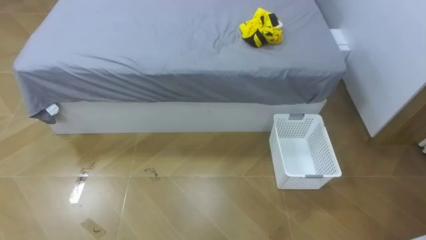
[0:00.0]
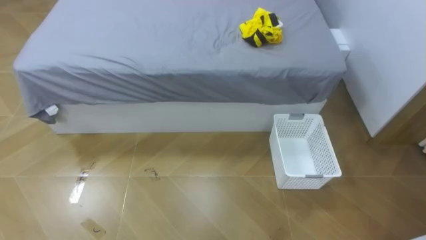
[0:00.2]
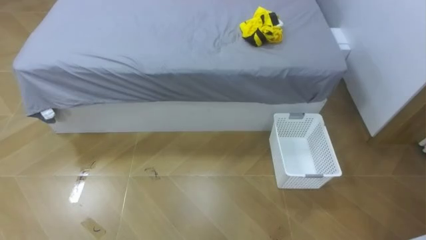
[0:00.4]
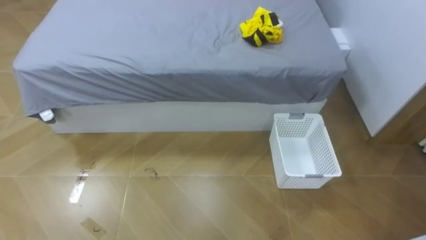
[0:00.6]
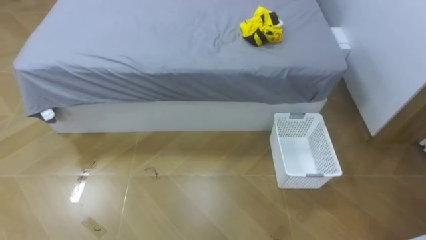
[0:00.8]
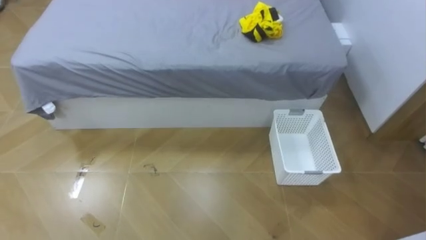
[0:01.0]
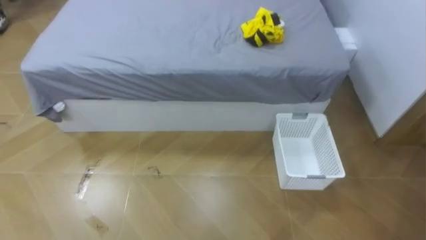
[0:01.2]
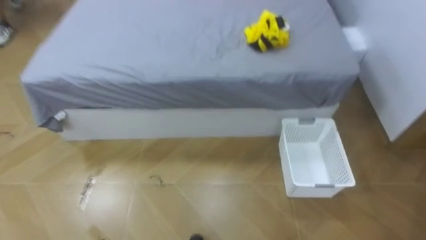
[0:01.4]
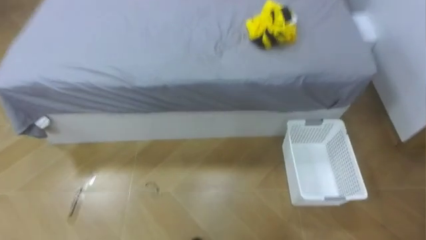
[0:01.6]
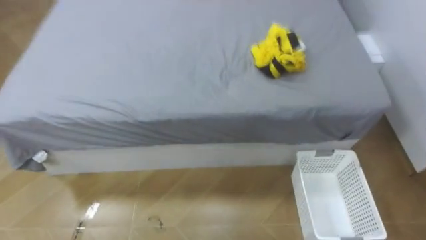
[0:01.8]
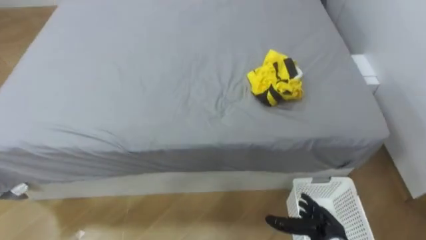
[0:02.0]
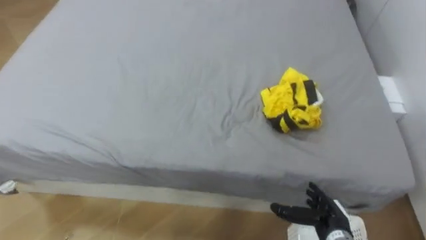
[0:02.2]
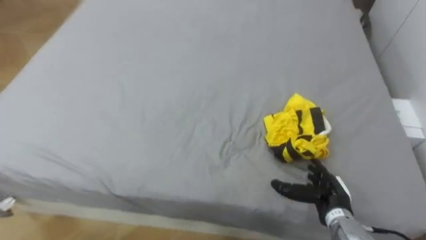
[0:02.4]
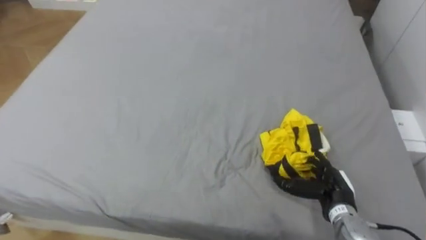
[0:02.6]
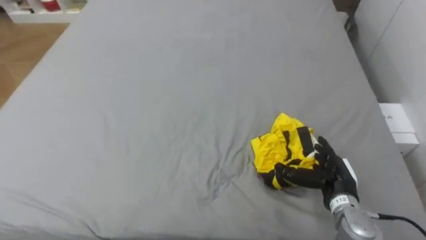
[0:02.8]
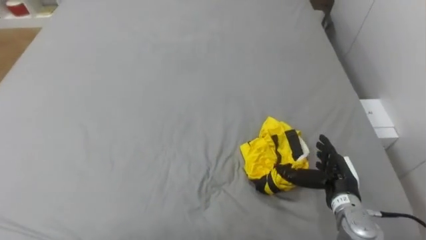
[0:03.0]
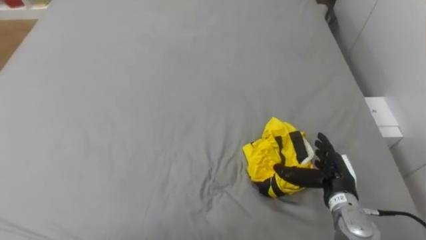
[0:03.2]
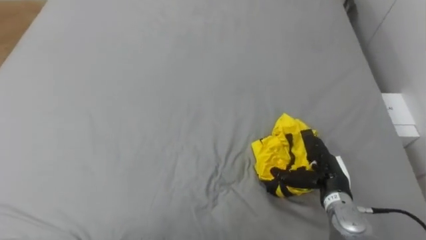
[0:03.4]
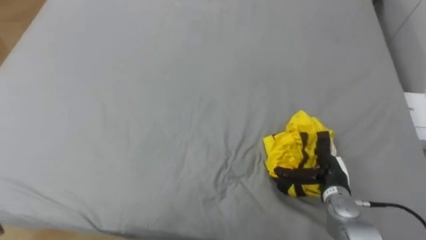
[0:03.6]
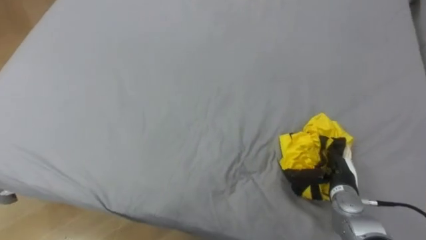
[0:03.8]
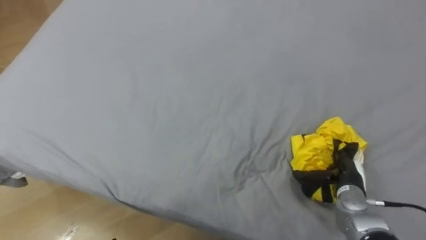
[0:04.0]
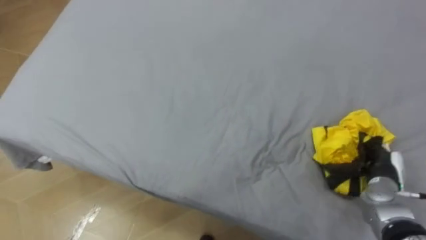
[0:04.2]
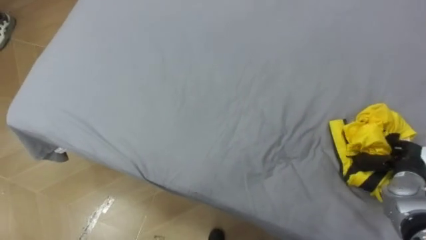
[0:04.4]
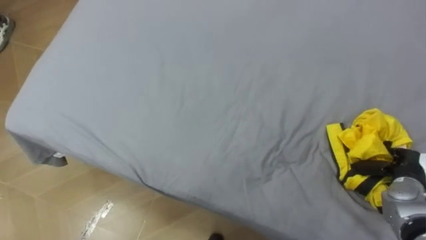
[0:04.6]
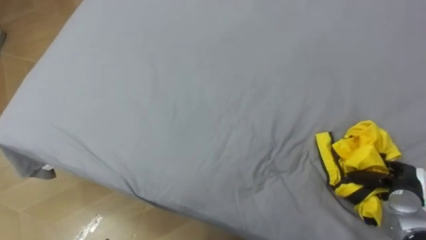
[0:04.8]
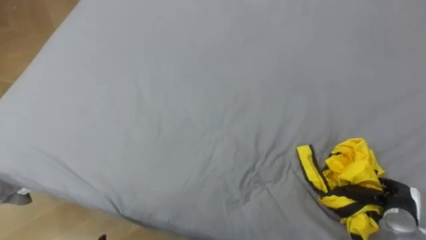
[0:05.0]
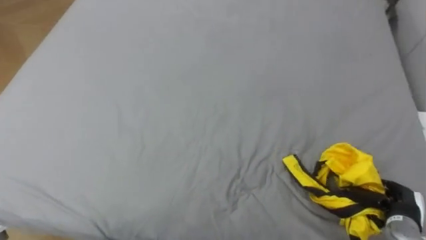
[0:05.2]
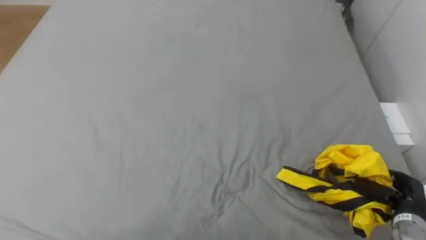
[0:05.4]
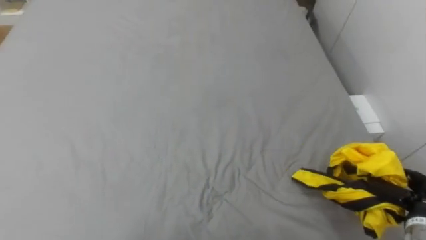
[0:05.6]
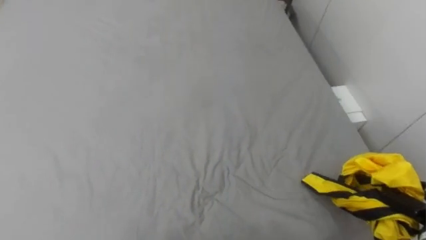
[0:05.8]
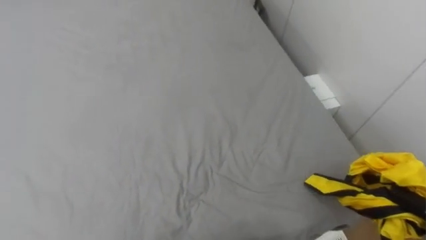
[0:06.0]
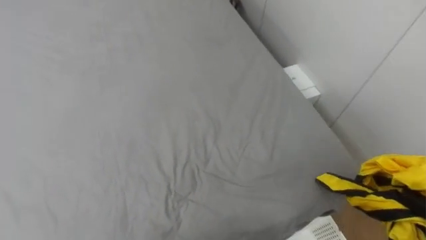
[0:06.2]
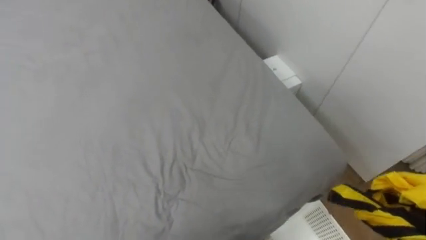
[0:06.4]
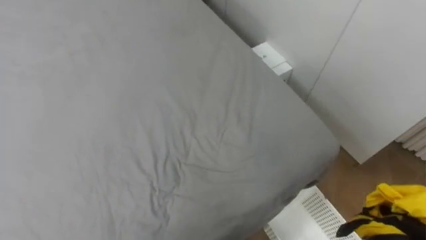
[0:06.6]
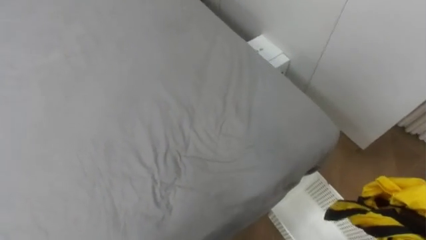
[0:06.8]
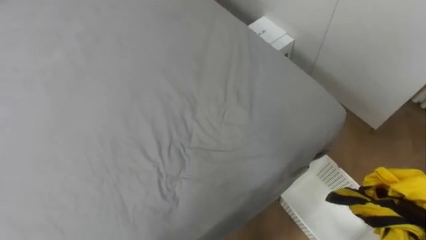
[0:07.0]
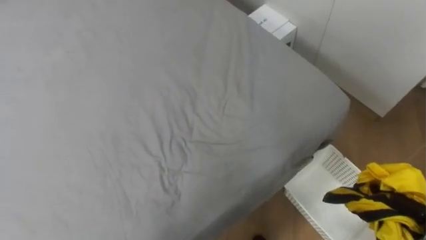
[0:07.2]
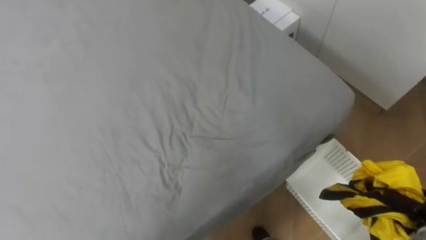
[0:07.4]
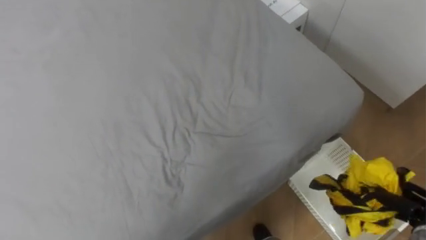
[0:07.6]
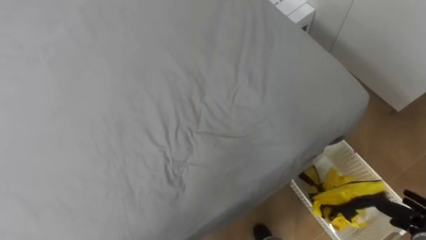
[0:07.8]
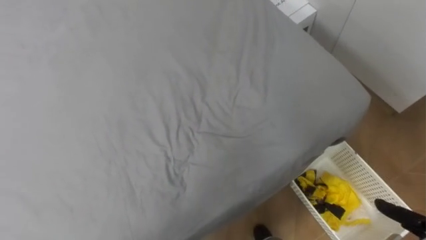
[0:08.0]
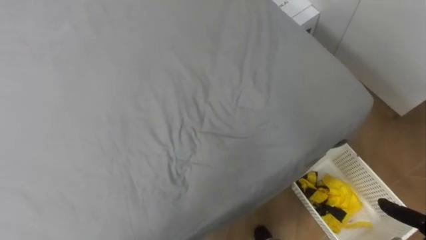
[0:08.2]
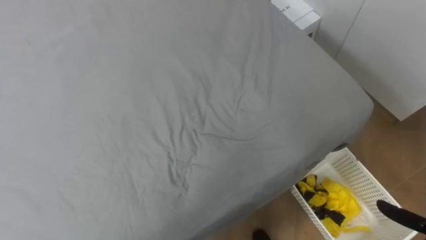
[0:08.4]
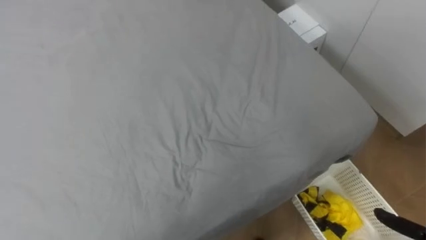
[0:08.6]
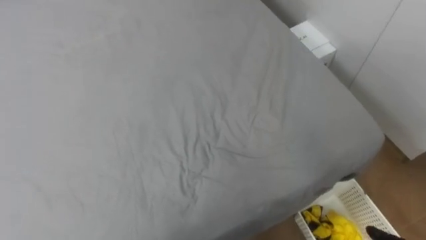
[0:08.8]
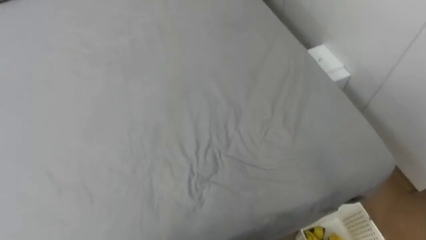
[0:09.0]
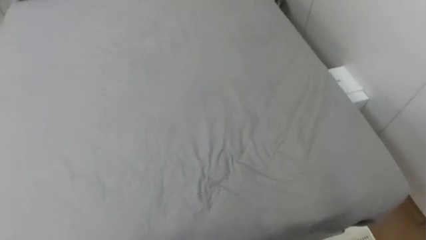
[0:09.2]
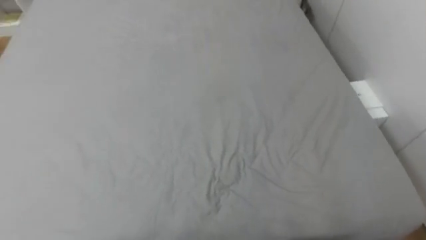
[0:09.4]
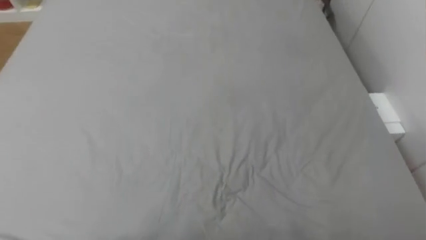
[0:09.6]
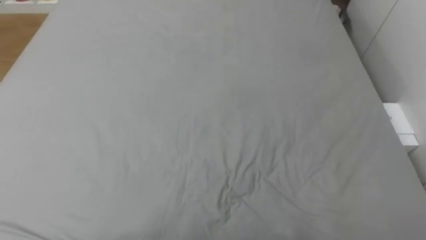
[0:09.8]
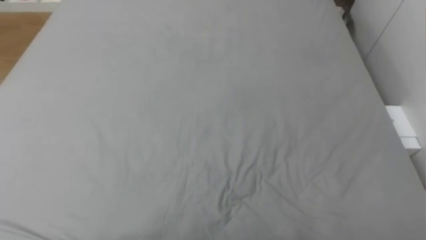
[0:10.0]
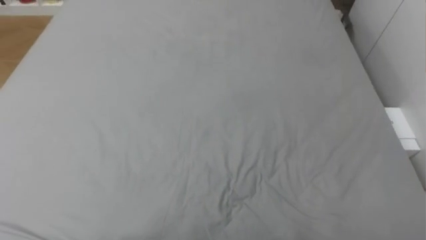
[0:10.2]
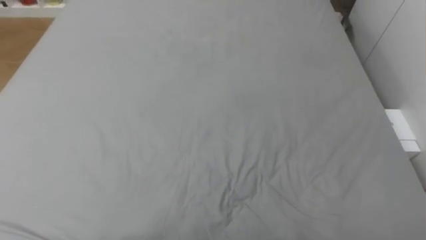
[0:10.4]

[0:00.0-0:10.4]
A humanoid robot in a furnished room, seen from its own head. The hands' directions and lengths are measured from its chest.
Task of the whole recording: Pick up the yellow clothes on the bed and place them into the white basket on the right.
0:03.0 to 0:04.4: The right hand heads to the right, covering about 15 cm, and closes.

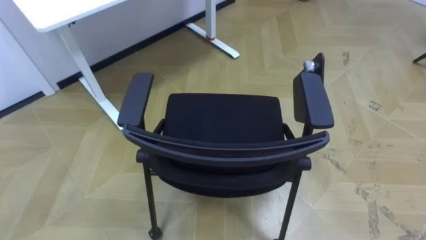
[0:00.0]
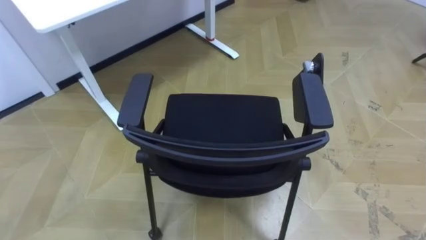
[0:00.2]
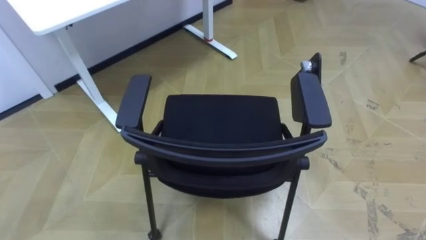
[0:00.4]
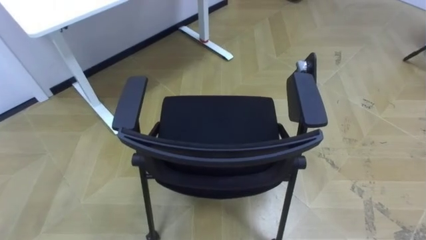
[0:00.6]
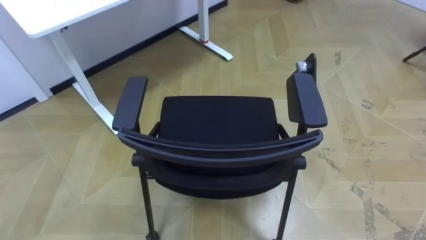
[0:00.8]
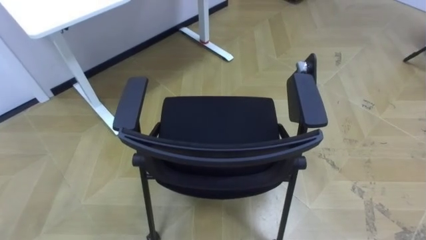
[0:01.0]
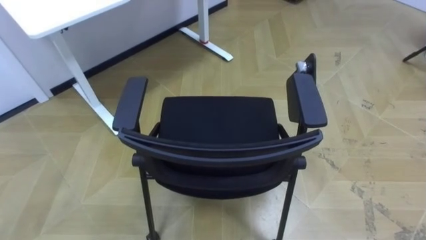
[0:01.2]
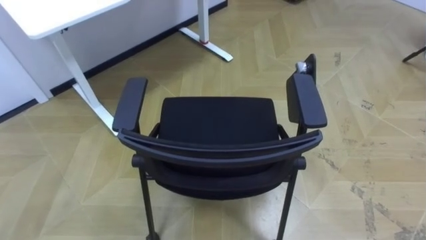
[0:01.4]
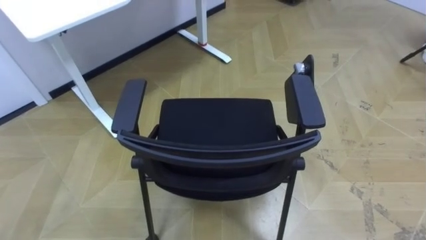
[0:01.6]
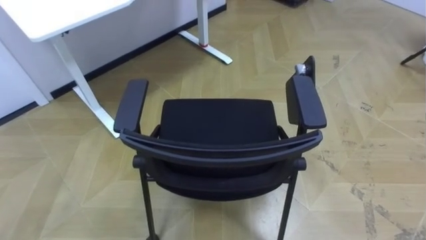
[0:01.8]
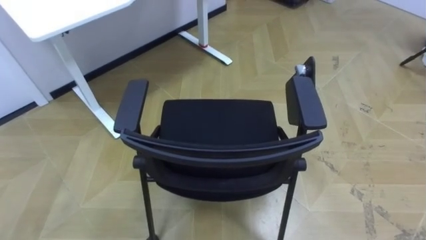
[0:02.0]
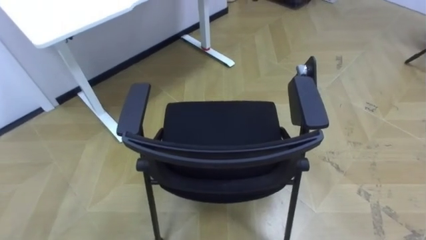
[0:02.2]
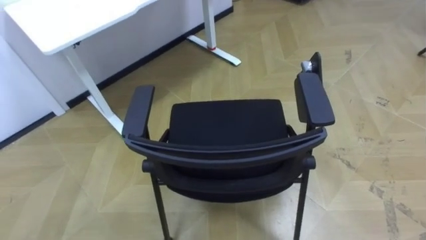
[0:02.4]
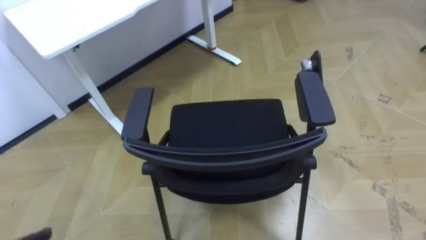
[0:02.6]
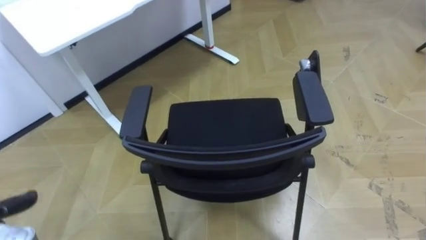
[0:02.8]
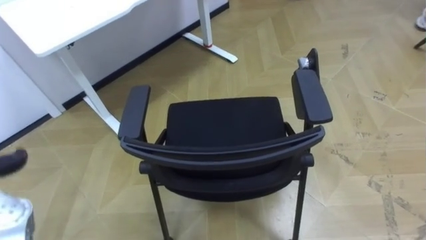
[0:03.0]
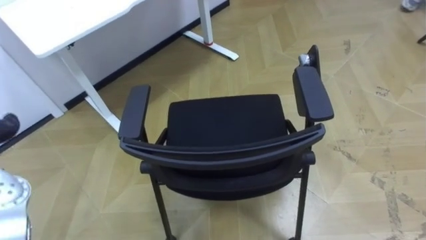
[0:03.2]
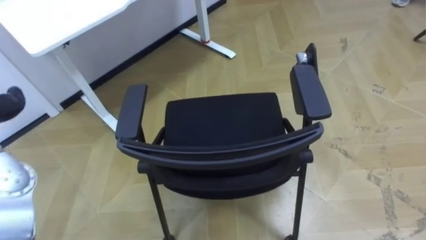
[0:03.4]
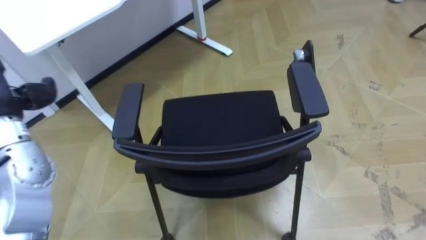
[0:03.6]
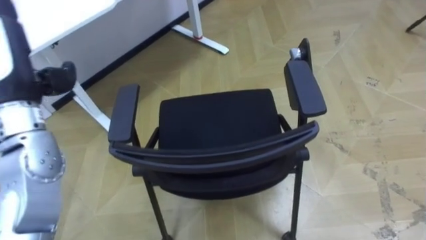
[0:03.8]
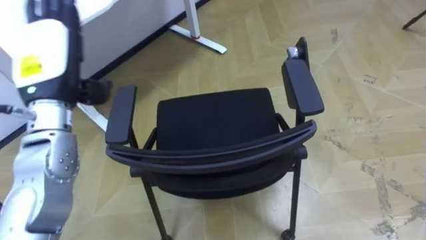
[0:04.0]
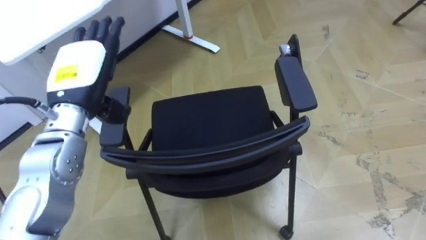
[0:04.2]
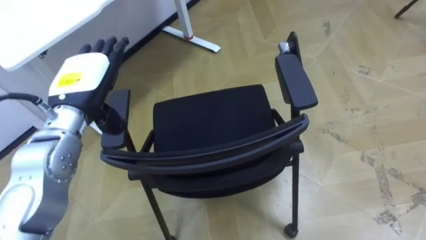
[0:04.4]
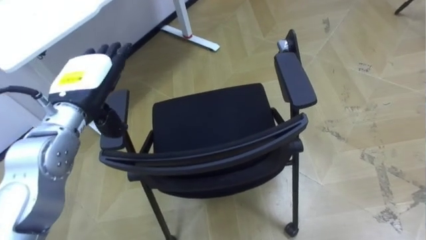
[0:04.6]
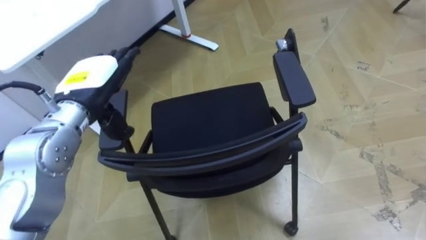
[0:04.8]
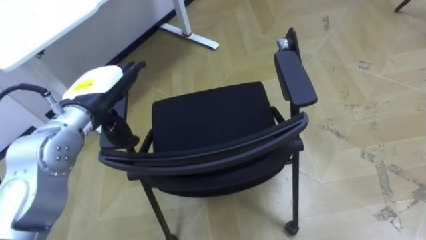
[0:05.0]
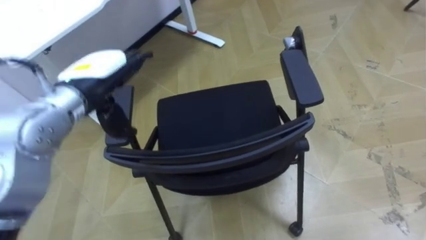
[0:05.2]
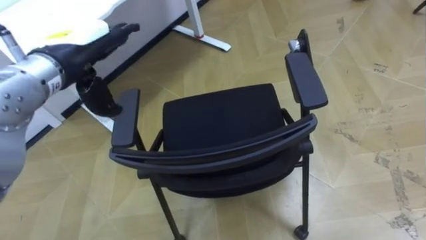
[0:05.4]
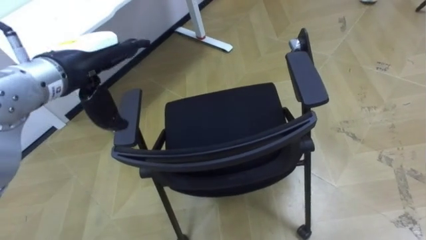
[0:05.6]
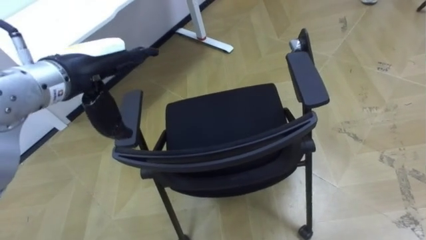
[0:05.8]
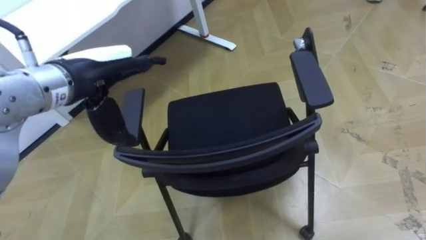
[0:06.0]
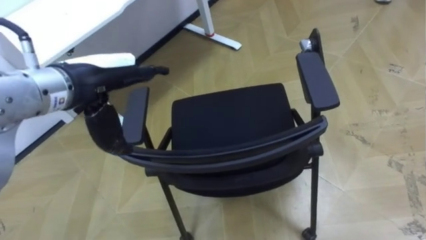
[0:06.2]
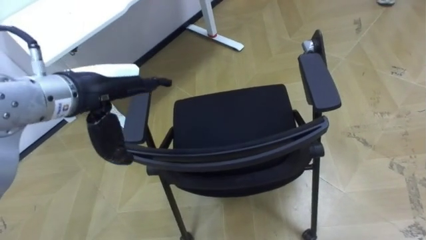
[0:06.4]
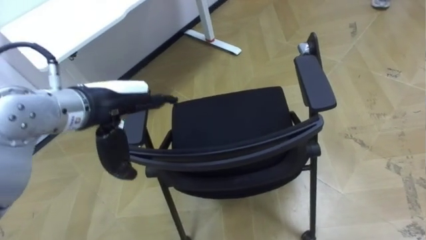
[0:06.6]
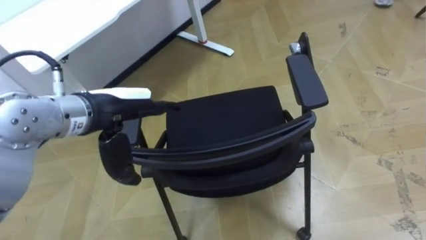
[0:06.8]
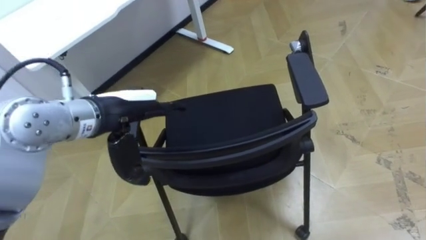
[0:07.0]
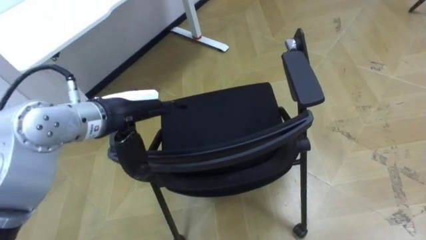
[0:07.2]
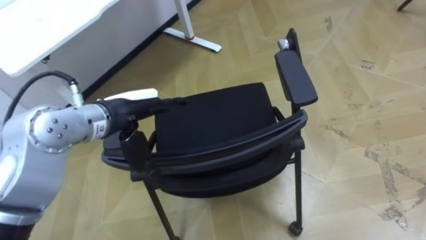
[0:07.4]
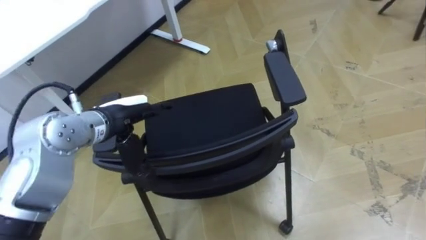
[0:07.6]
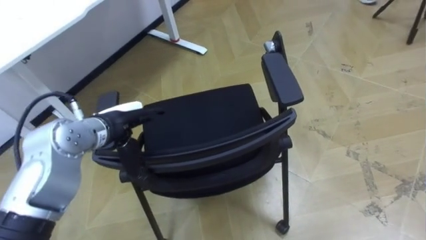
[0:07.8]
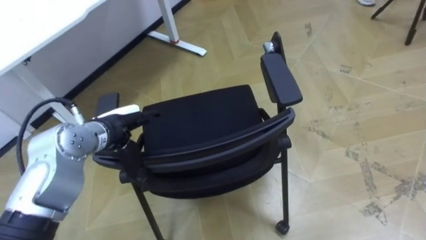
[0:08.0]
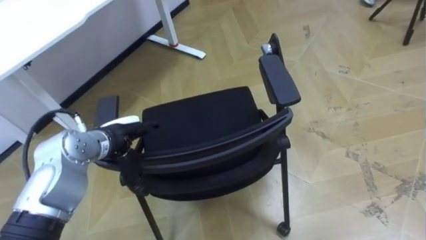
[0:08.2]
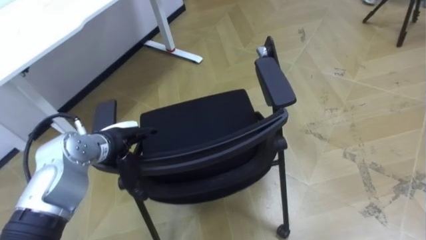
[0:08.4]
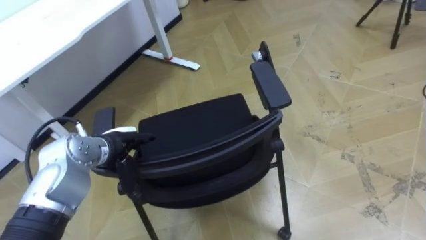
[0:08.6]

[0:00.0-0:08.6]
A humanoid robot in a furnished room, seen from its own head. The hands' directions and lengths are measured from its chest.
Task of the whole recording: Push the chair under the table.
0:04.4 to 0:05.8: The left hand shifts roughly 5 cm upward.
0:05.8 to 0:07.2: The left hand shifts some 5 cm downward.
0:07.2 to 0:08.6: The left hand shifts about 15 cm downward.
